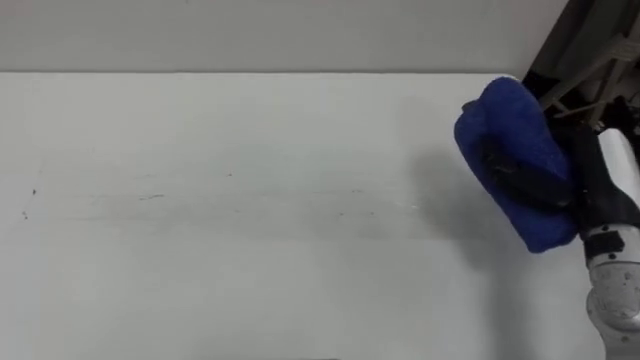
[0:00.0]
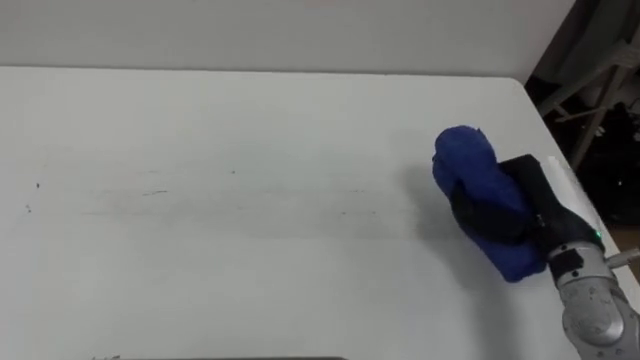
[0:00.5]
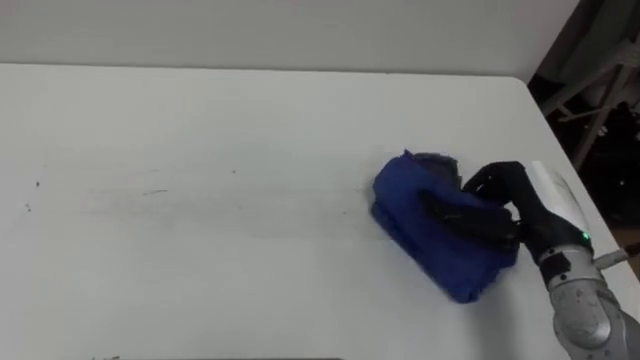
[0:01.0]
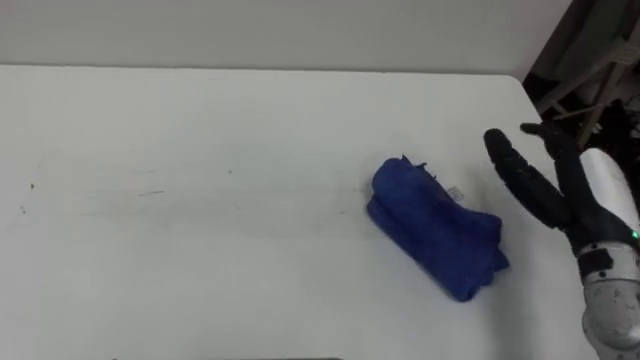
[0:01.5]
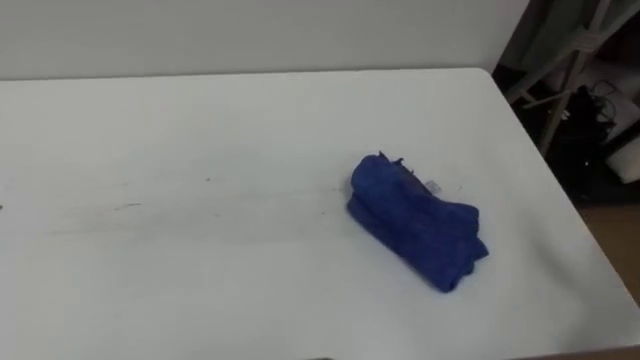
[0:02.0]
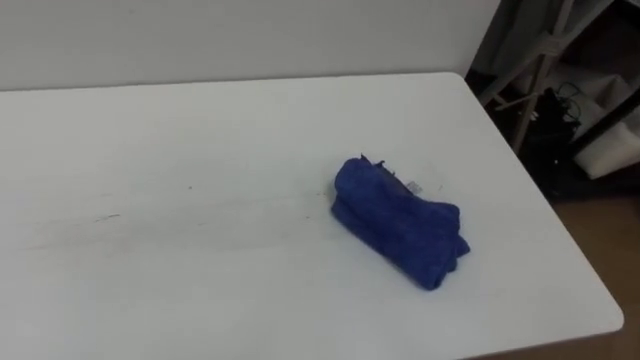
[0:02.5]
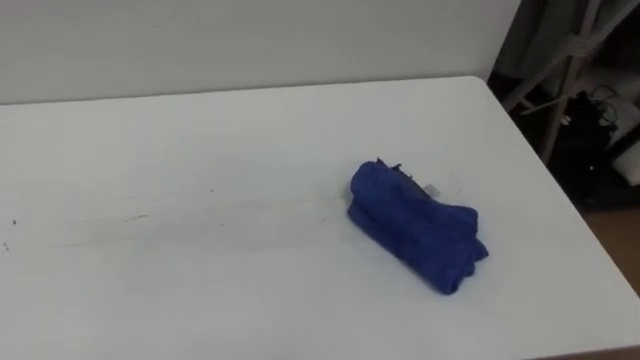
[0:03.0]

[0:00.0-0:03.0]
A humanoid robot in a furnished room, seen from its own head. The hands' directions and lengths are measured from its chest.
Task of the whole recording: Wipe the blue pen marks off the table with the rag.
0:00.0 to 0:01.5: The right hand opens up.

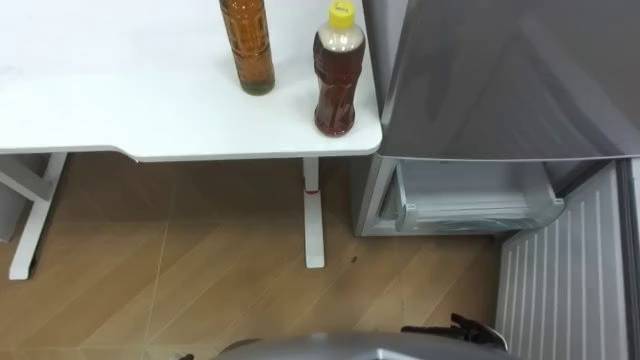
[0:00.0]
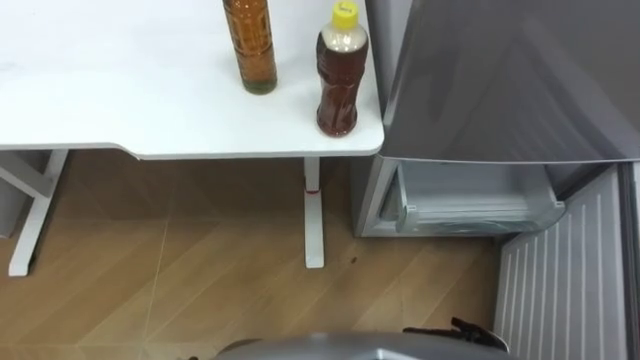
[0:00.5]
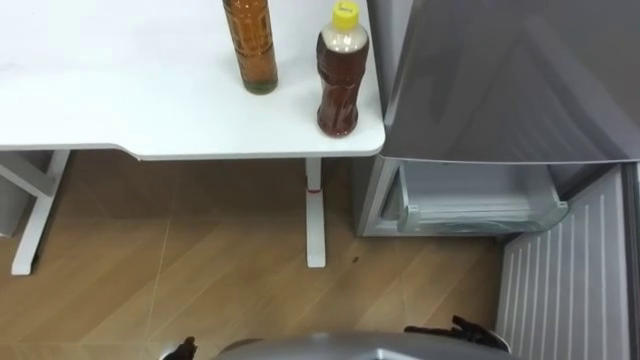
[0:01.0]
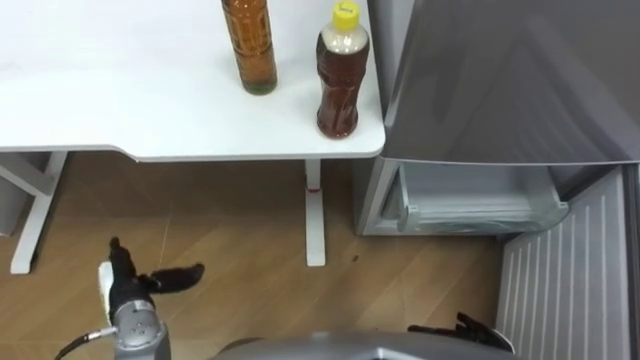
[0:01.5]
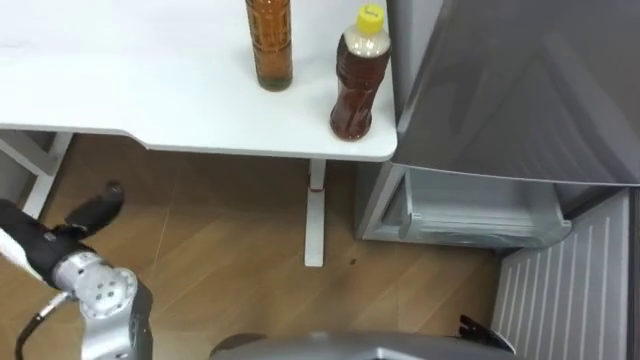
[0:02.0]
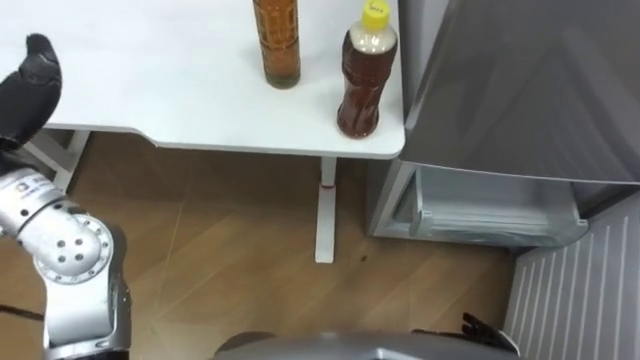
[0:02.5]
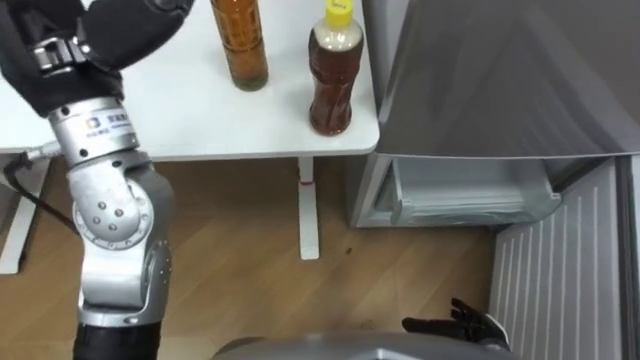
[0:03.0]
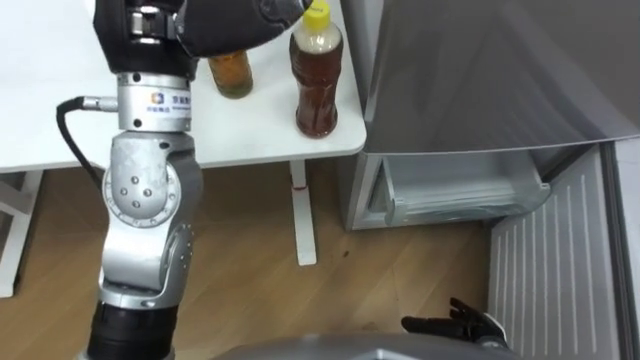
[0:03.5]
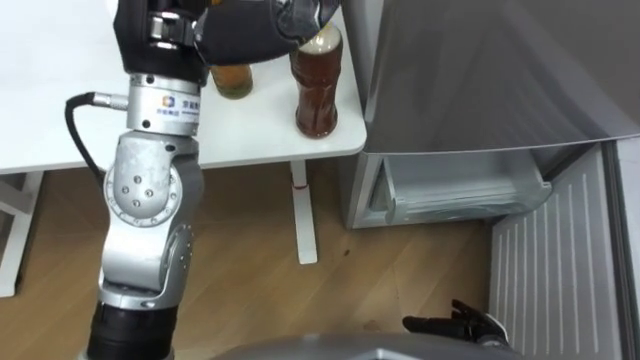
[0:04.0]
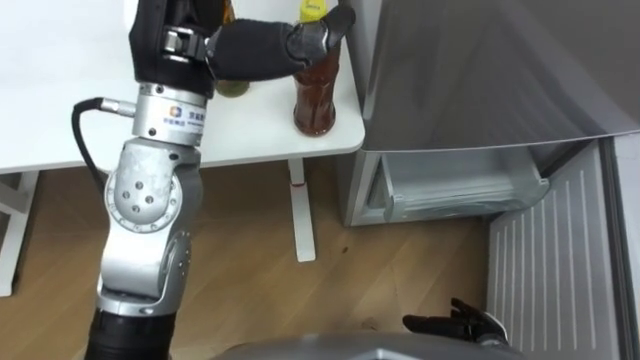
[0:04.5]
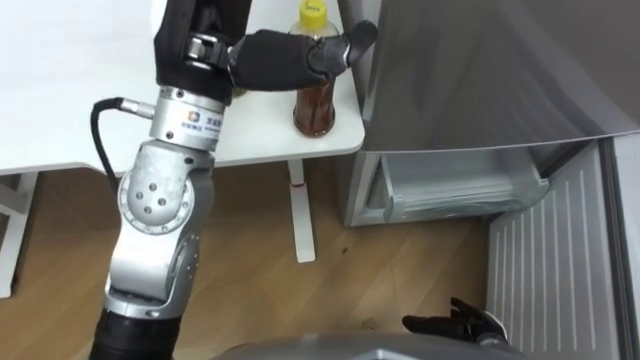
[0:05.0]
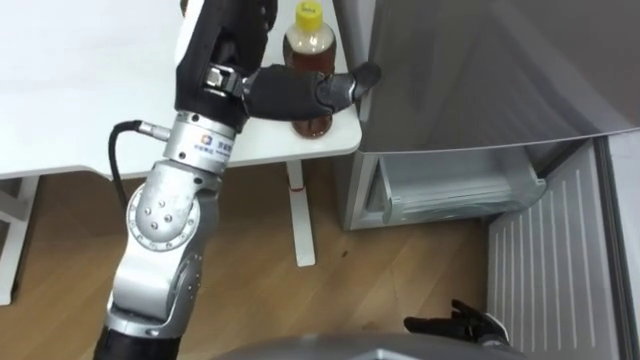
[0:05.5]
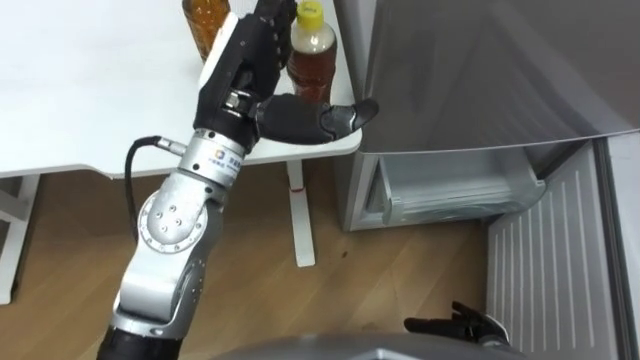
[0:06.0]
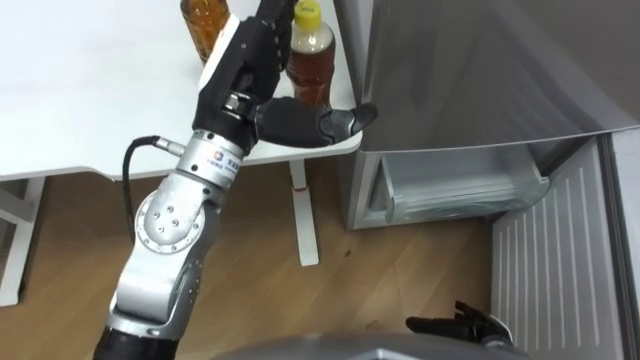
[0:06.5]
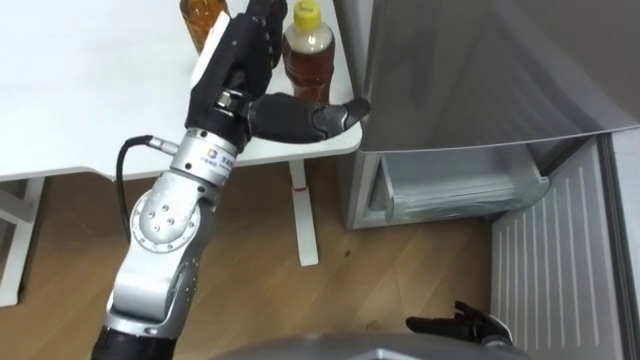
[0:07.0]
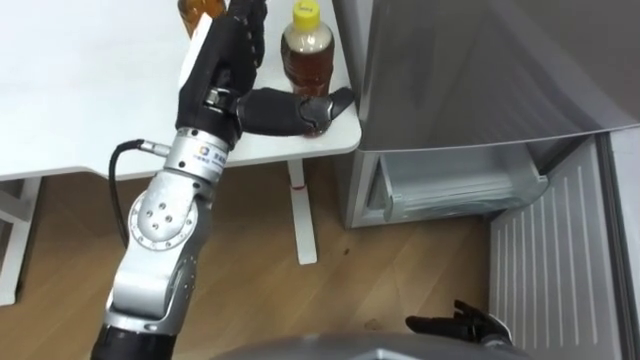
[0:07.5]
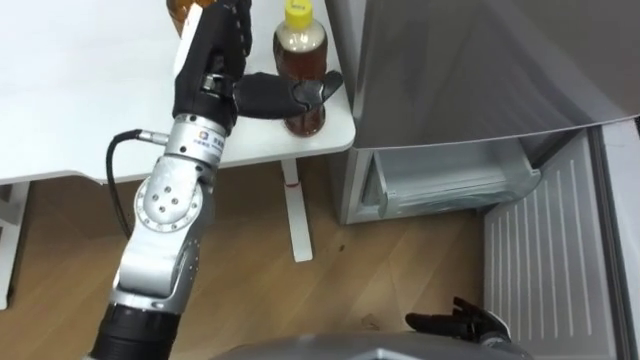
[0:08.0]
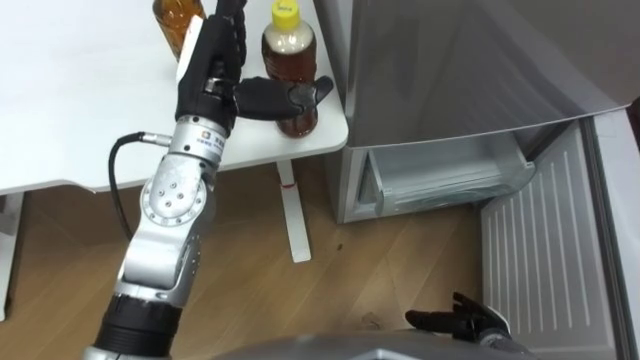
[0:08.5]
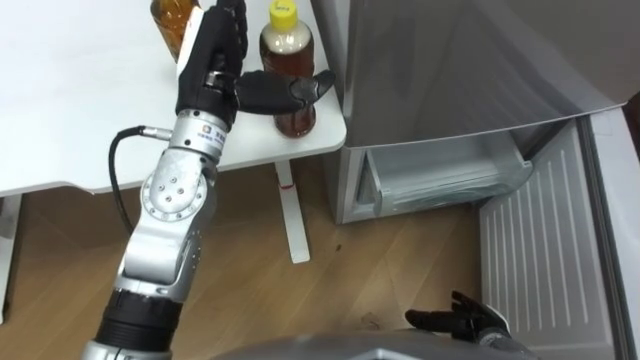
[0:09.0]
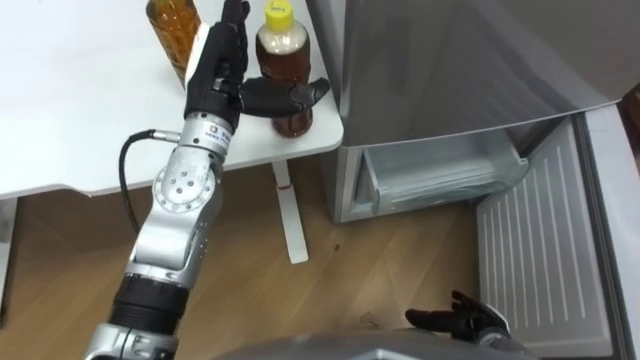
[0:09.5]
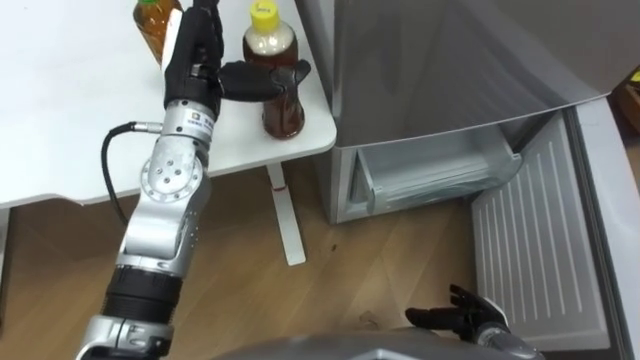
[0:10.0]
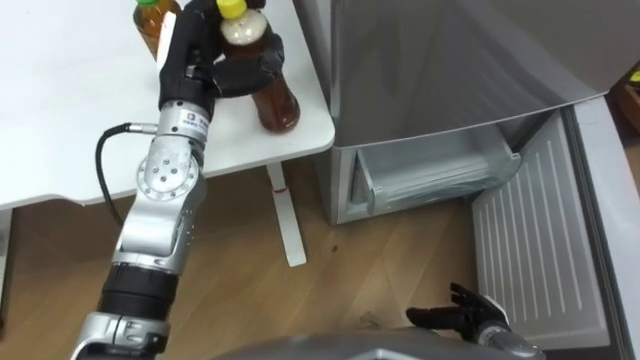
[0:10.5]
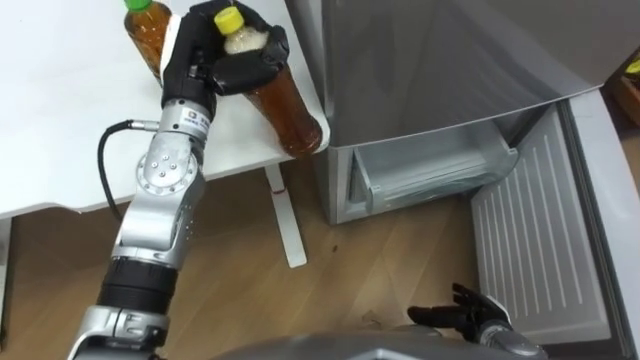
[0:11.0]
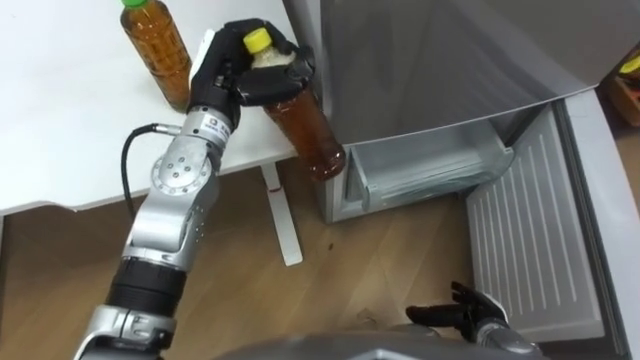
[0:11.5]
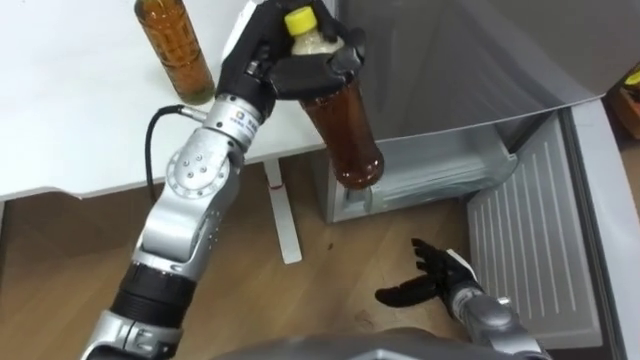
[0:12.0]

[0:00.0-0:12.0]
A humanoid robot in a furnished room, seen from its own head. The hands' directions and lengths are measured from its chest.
Task of the whole recording: Place the drink on the table on the bottom shelf of the refrigerator, then close the drawer and the refrigerator door.
0:04.0 to 0:06.0: The left hand moves downward, roughly 10 cm.
0:08.0 to 0:10.0: The left hand moves approximately 5 cm.
0:10.0 to 0:12.0: The left hand moves to the right, approximately 5 cm, and closes up. The right hand heads forward, covering roughly 5 cm.

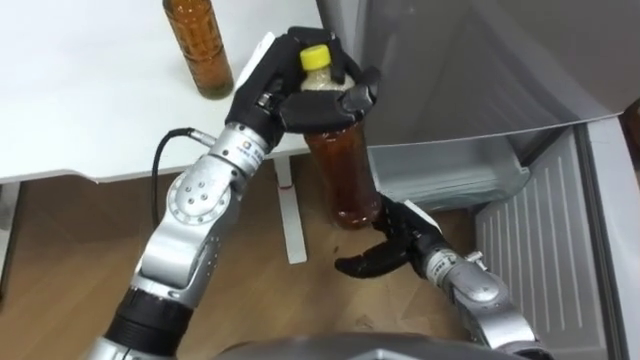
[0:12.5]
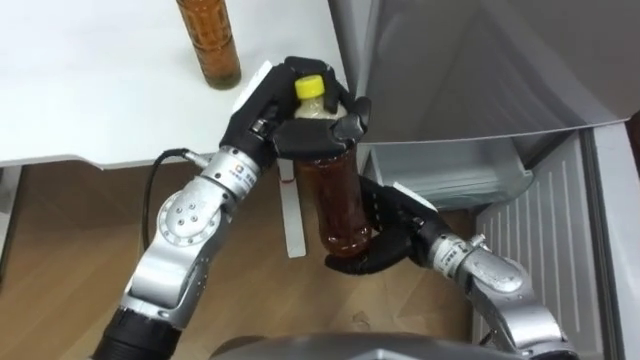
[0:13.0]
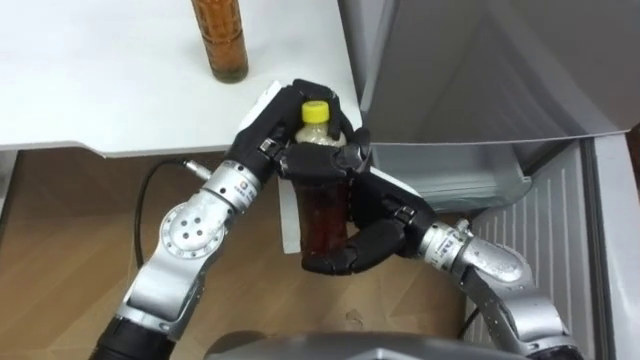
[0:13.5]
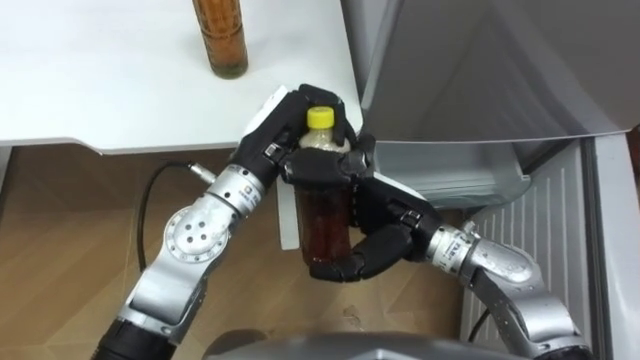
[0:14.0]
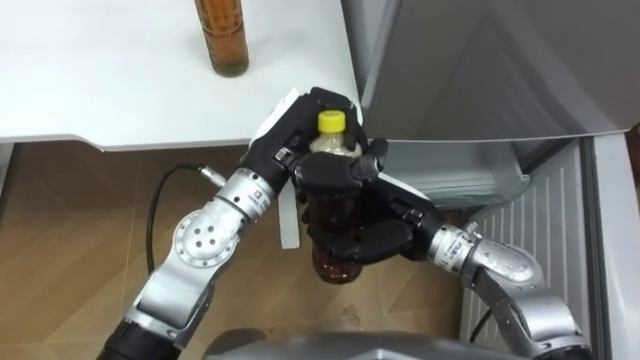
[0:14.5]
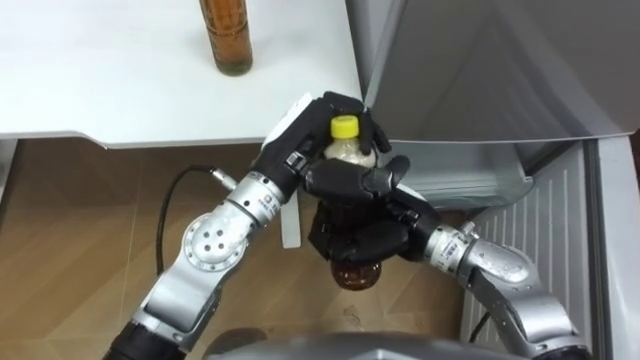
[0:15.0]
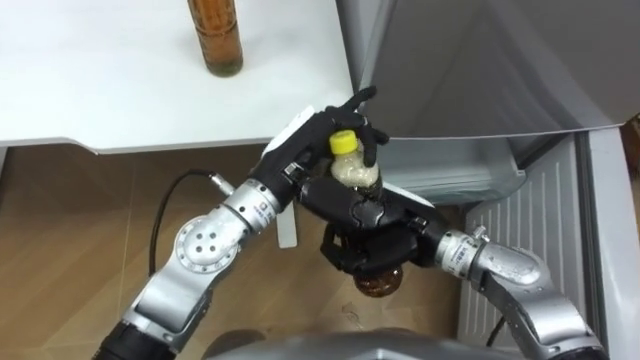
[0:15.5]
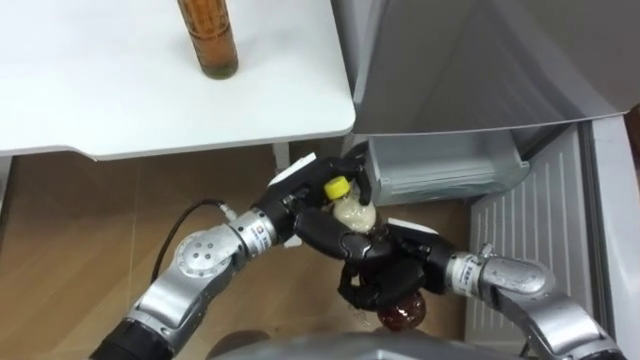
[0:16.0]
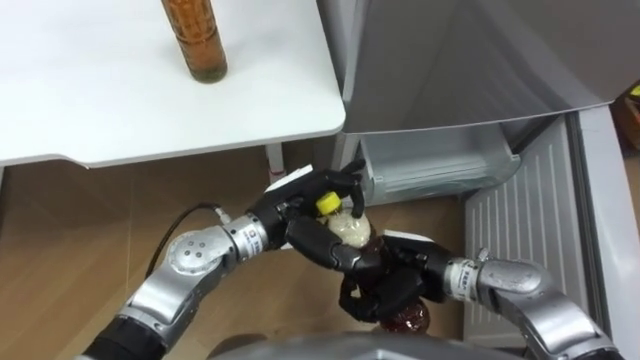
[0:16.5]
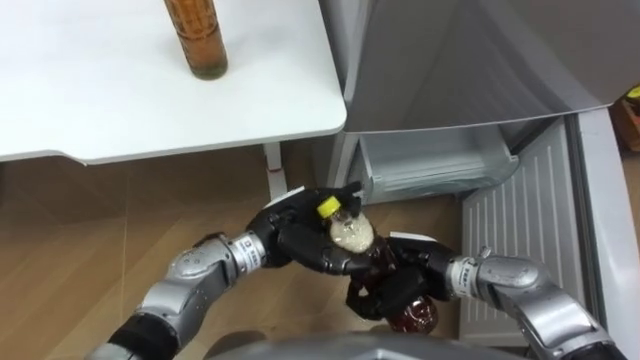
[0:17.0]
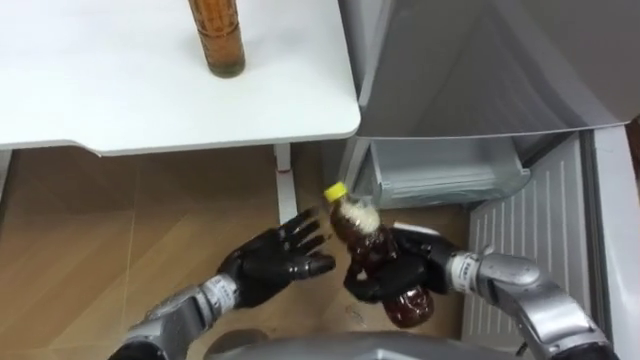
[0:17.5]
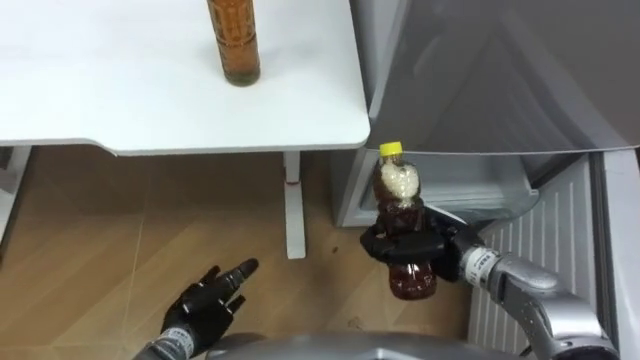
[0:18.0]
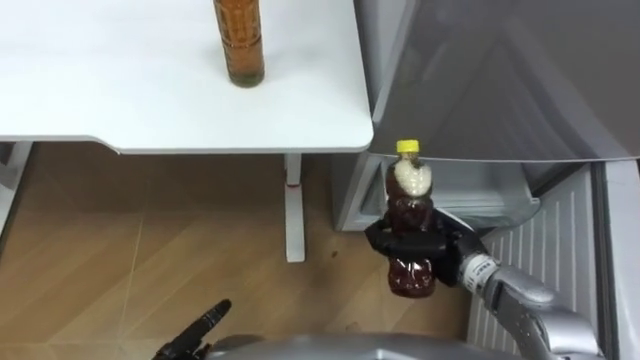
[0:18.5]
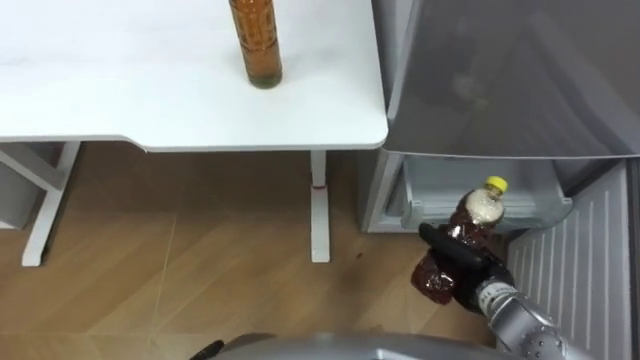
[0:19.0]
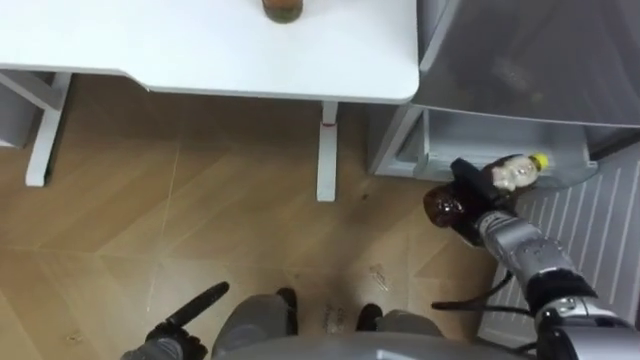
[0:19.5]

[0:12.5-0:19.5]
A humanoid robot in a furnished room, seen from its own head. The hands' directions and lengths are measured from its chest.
Task of the whole recording: Place the drink on the table on the bottom shelf of the refrigerator, then close the drawer and the refrigerator door.
0:12.5 to 0:14.5: The left hand changes place by roughly 5 cm. Meanwhile the right hand is displaced upward by about 10 cm, and closes up.
0:14.5 to 0:16.0: The right hand changes place by about 5 cm, while the left hand moves downward, about 5 cm, and opens.
0:16.0 to 0:17.5: The left hand goes approximately 10 cm downward and backward.
0:17.5 to 0:19.5: The right hand is displaced to the right, forward and downward by some 15 cm.
